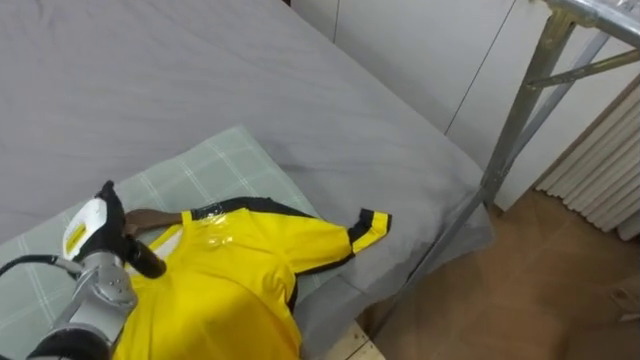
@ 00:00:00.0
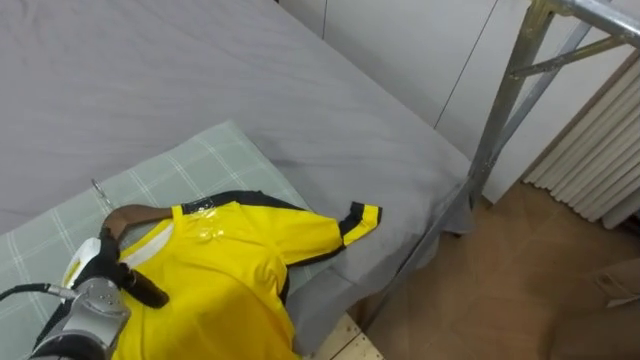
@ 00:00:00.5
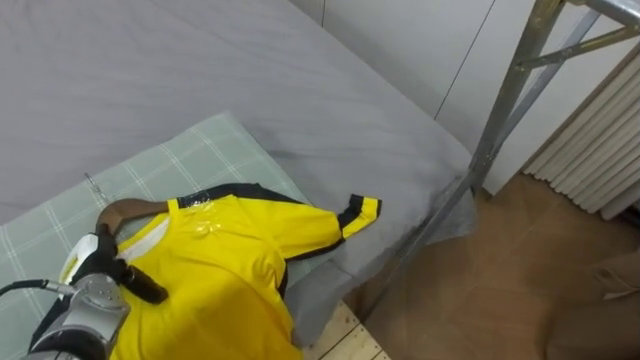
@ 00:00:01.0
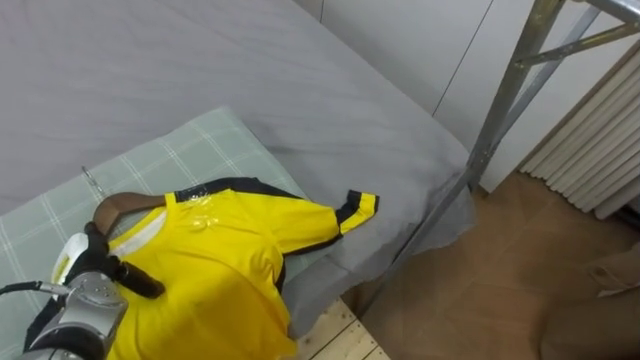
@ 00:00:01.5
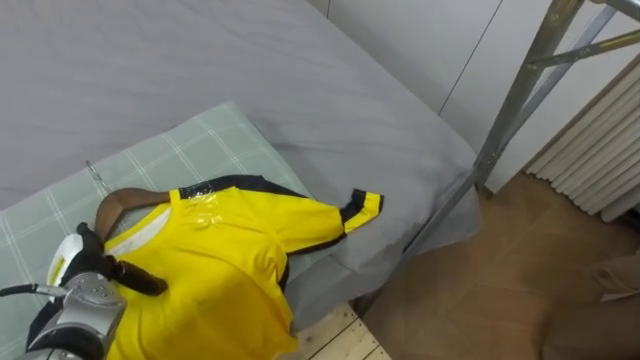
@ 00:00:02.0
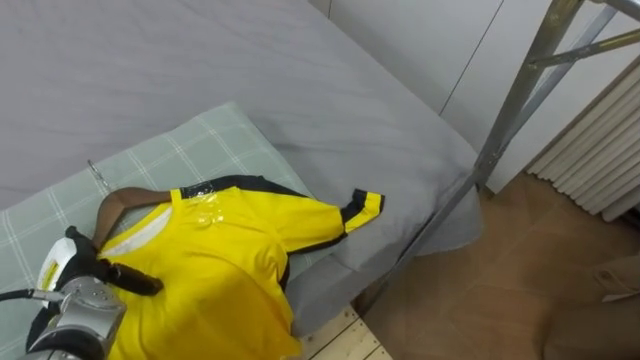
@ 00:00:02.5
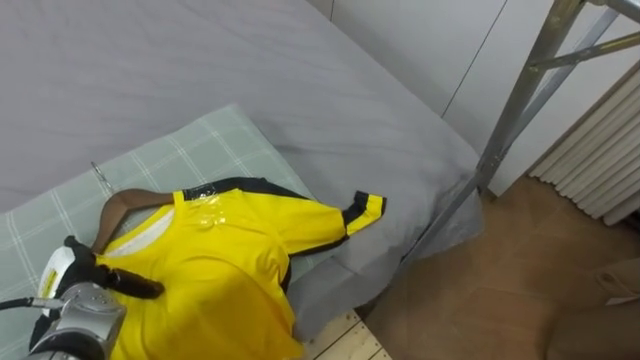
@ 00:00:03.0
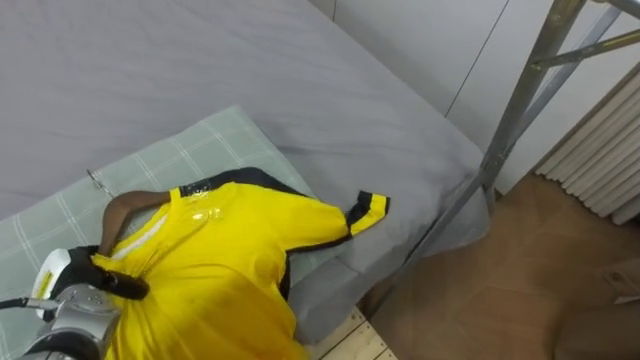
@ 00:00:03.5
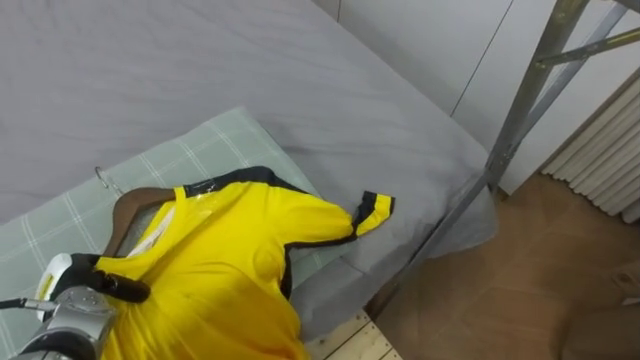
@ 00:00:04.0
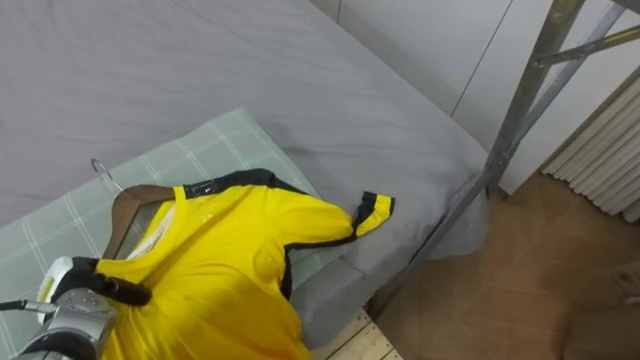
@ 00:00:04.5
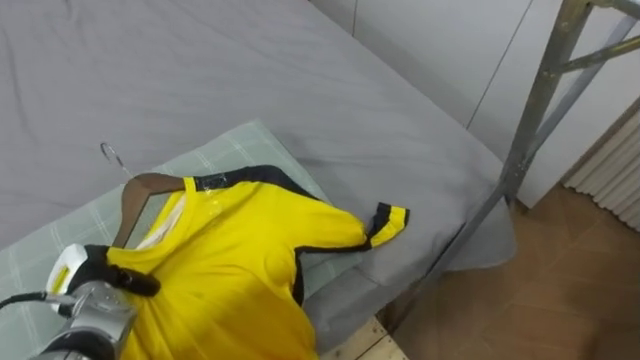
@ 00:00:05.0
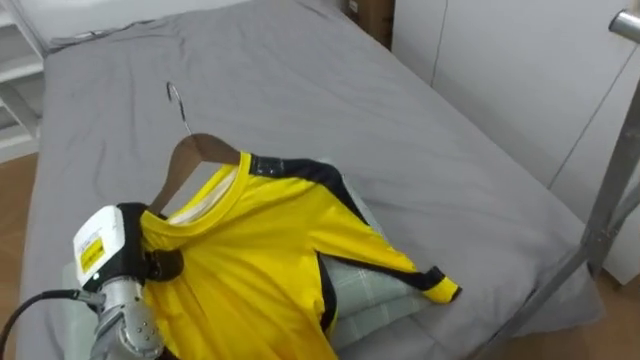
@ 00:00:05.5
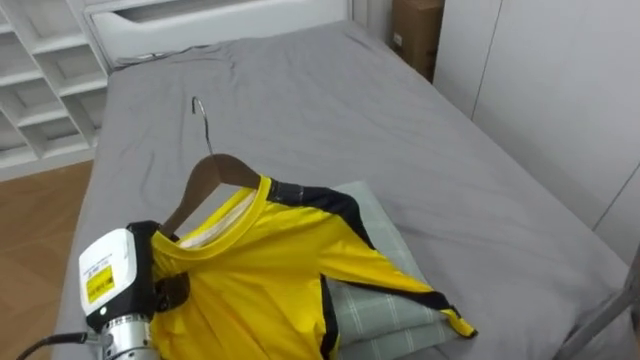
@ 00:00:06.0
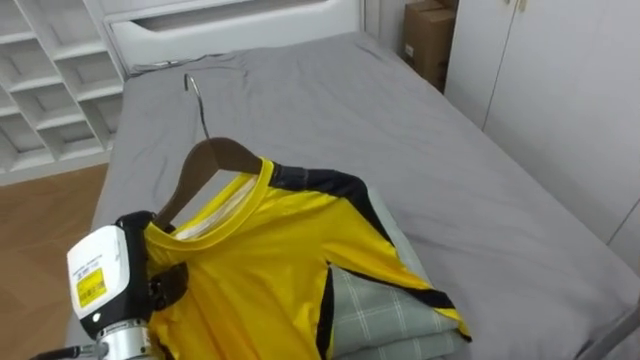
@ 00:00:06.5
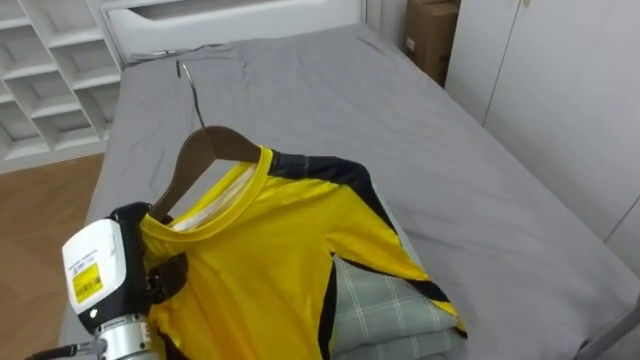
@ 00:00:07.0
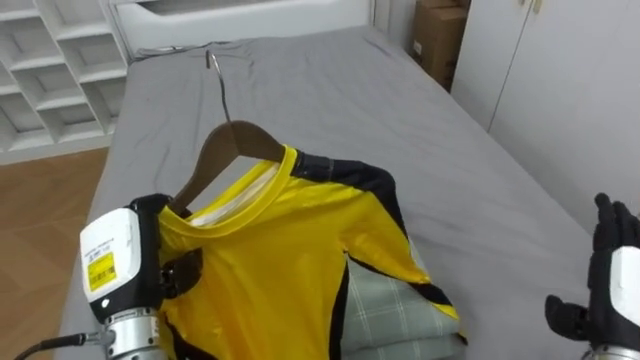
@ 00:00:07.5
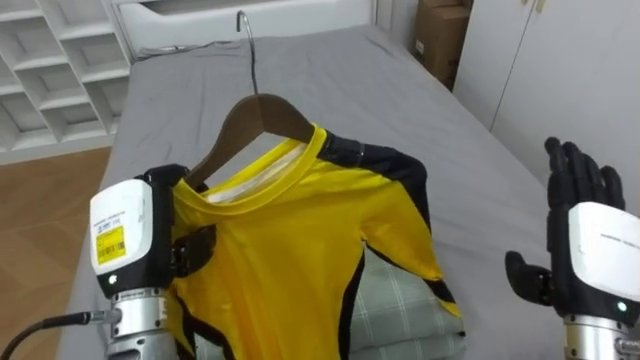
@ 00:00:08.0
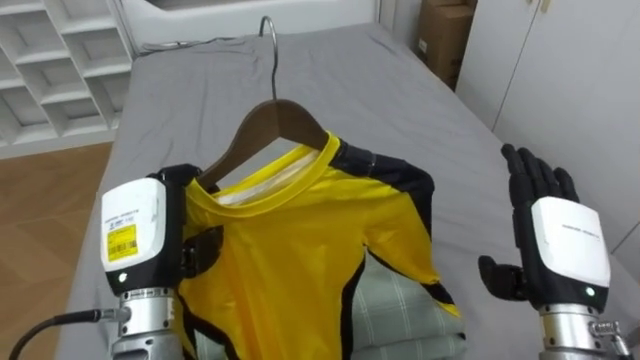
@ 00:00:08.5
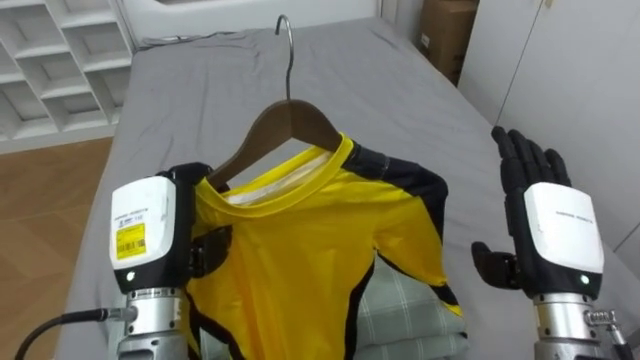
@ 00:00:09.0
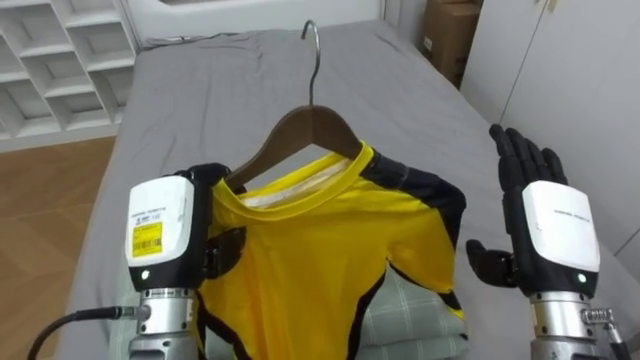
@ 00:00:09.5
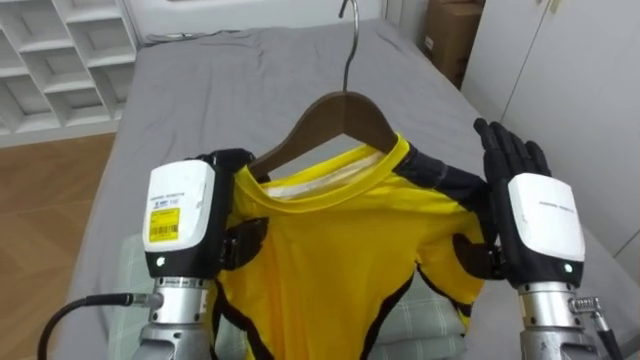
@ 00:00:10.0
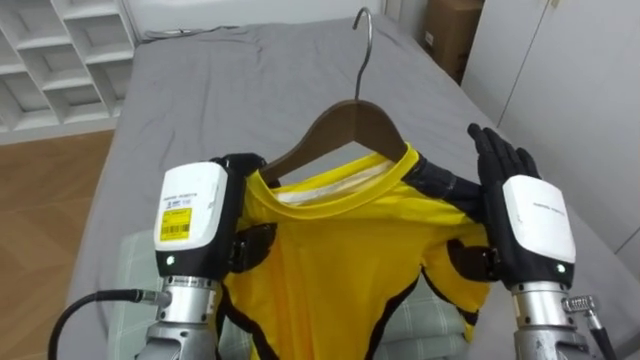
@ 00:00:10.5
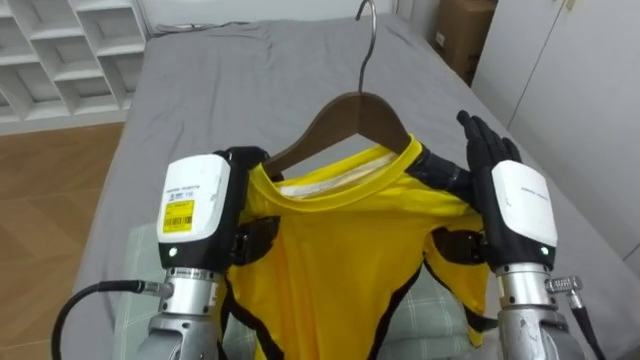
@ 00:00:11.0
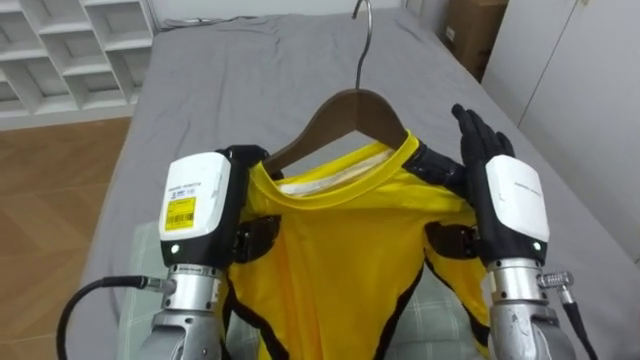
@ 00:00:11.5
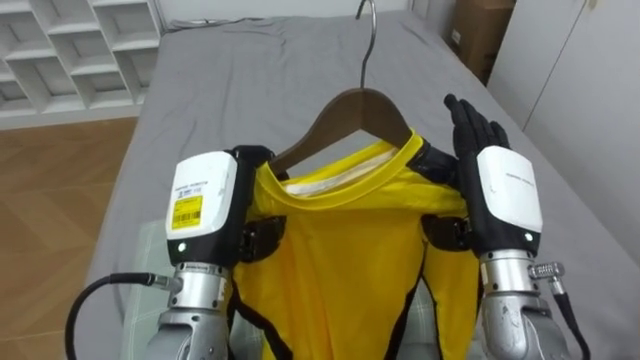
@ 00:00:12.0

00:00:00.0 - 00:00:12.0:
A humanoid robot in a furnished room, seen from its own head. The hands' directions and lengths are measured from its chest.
Task of the whole recording: Pick up the yellow shirt on the bed and hang it on the clothes rack on the right.
00:00:02.0 - 00:00:04.0: The left hand closes its fingers.
00:00:04.0 - 00:00:06.0: The left hand shifts some 10 cm to the right and upward.
00:00:06.0 - 00:00:08.0: The left hand travels upward by approximately 10 cm.
00:00:08.0 - 00:00:10.0: The left hand shifts roughly 5 cm to the right, while the right hand shifts some 5 cm to the left.

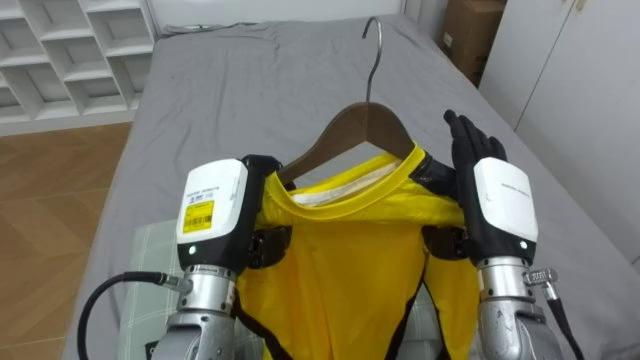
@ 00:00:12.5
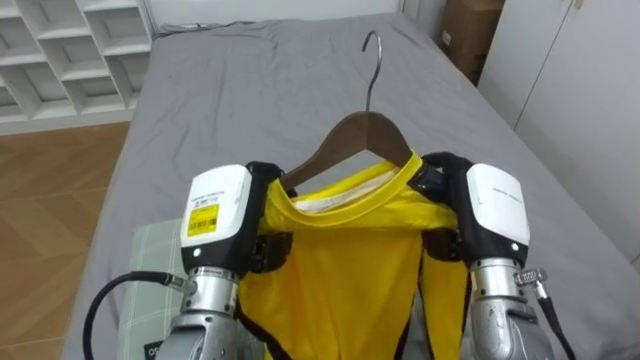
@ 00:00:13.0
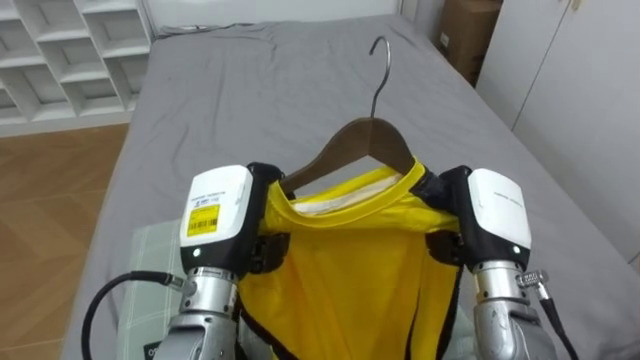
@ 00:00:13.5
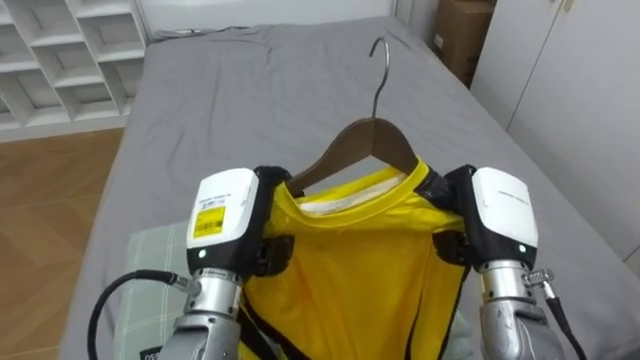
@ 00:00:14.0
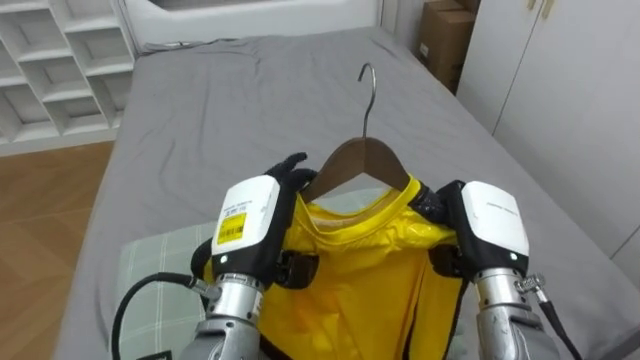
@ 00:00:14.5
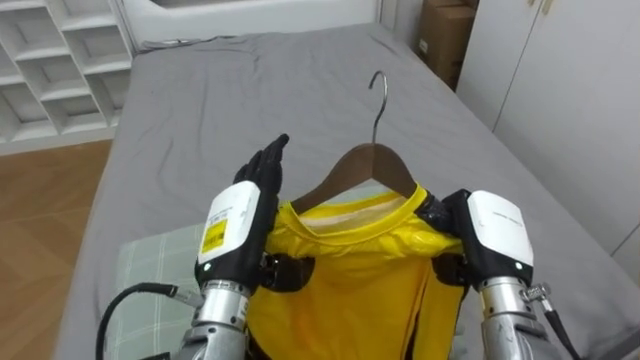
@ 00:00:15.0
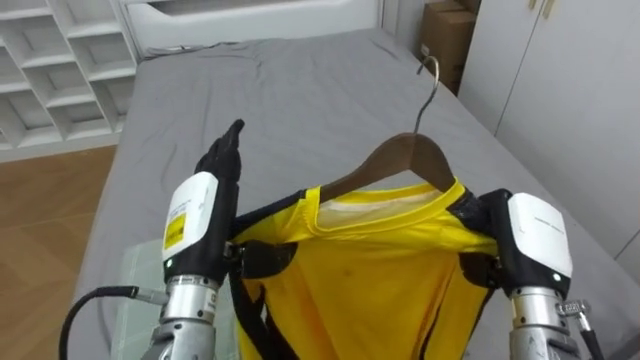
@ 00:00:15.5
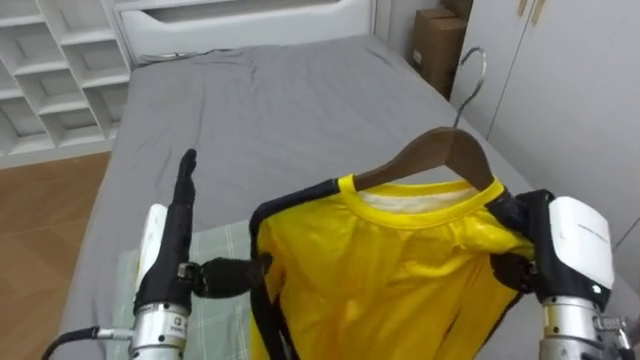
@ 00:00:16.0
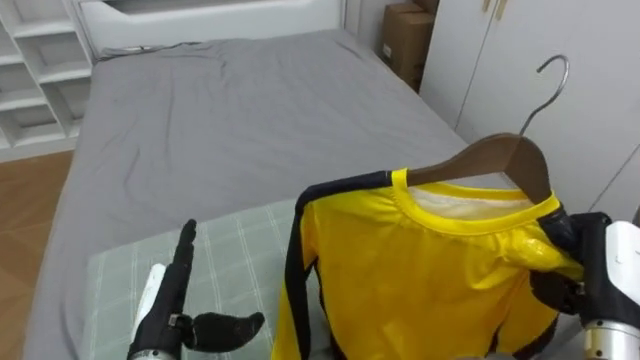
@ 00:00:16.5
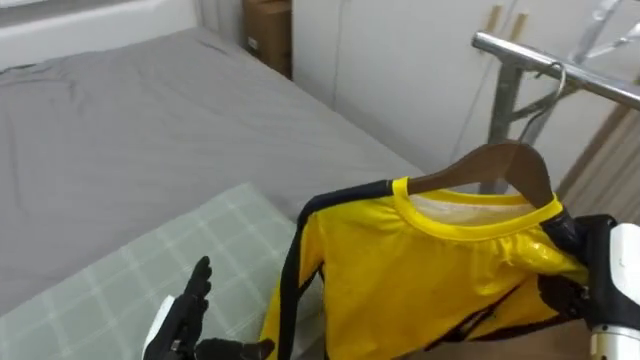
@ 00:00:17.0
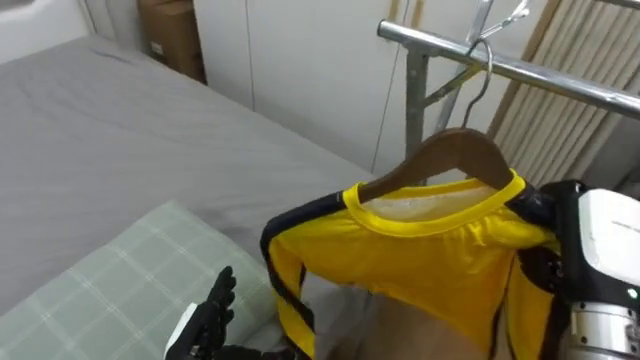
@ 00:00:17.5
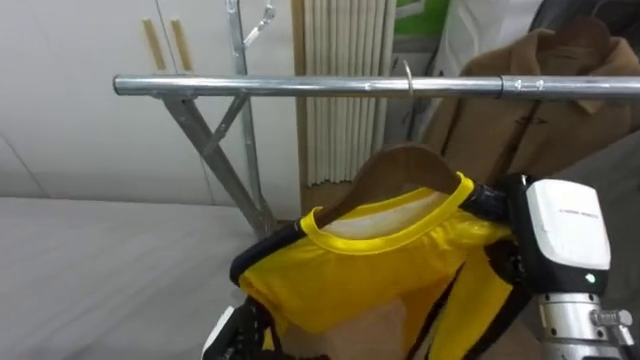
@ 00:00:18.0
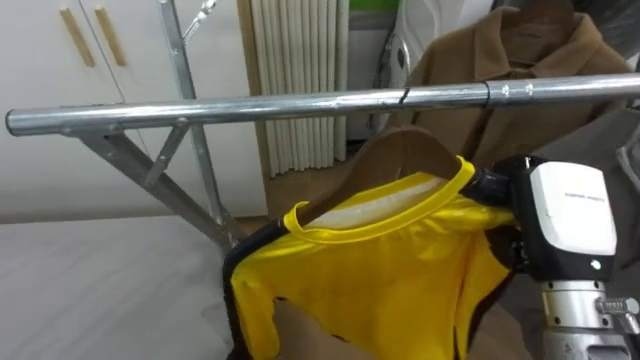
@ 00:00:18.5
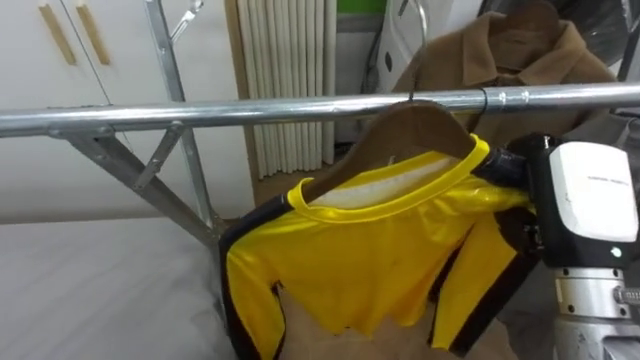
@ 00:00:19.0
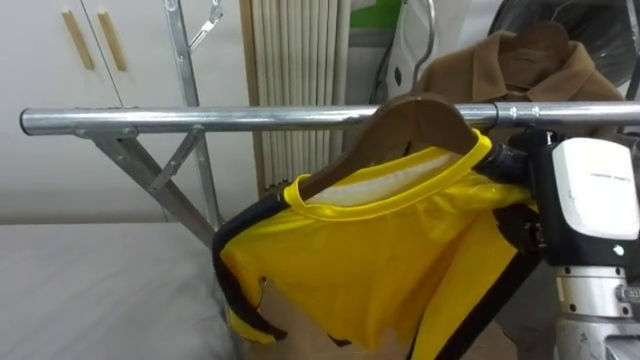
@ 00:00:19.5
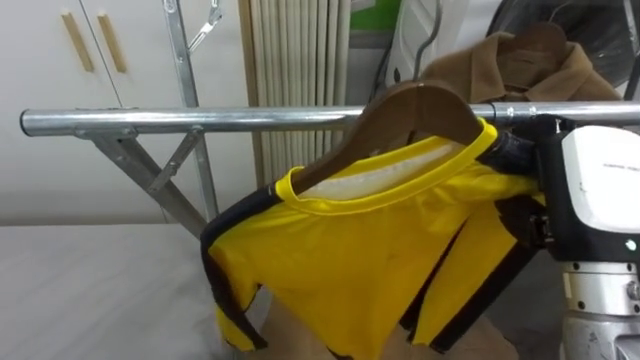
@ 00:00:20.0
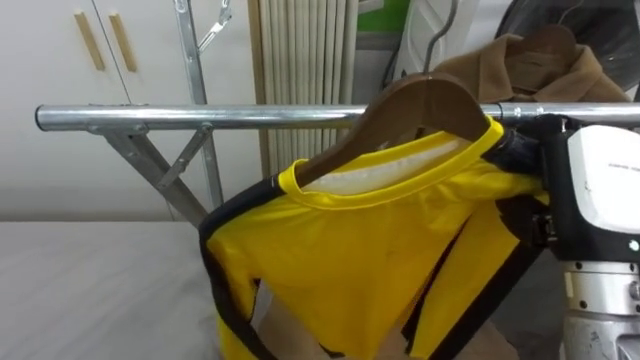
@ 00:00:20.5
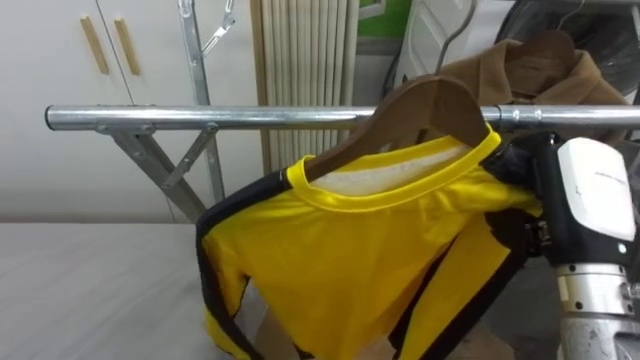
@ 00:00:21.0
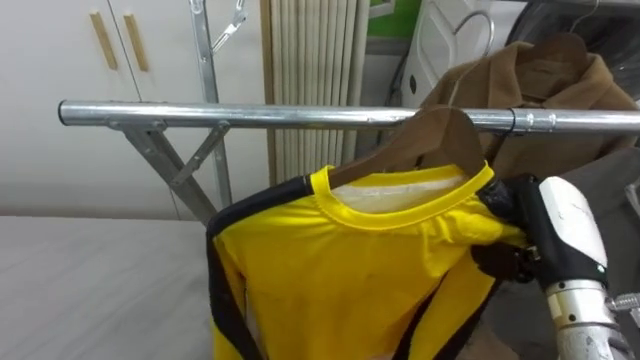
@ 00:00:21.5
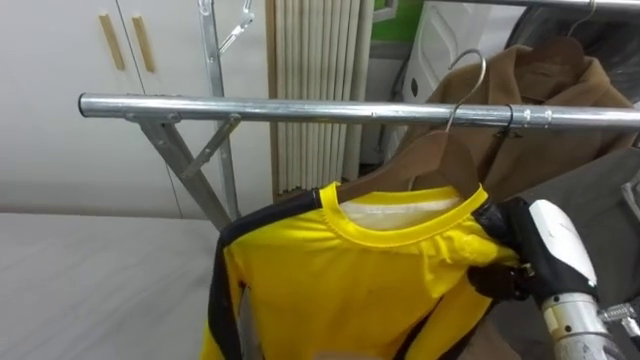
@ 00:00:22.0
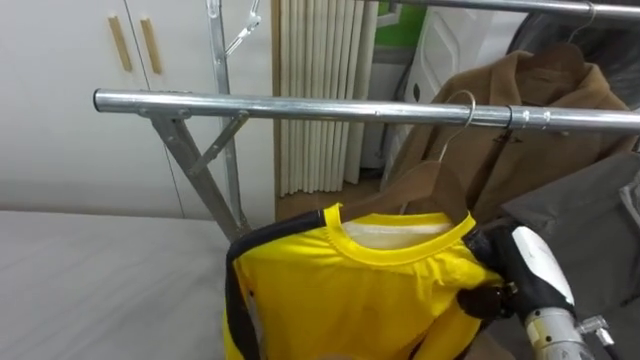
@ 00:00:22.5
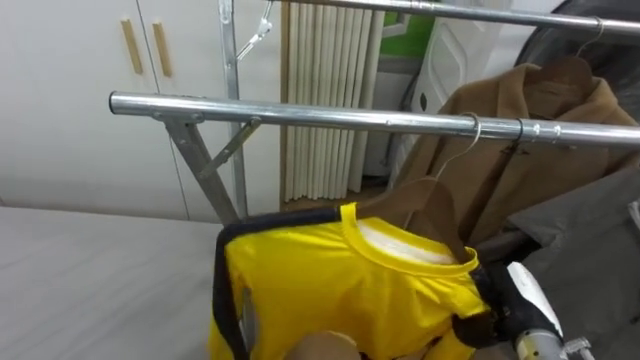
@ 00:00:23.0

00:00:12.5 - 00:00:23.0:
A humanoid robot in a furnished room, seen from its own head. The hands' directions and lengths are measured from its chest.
Task of the whole recording: Pick up the yellow shirt on the bed and hang it on the clothes rack on the right.
00:00:12.5 - 00:00:14.5: The right hand closes up. Meanwhile the left hand opens its fingers.
00:00:14.5 - 00:00:16.5: The left hand heads to the left and downward, covering about 15 cm, while the right hand goes about 15 cm to the right and backward.
00:00:16.5 - 00:00:19.0: The robot faces roughly 80 degrees further to its right. The right hand goes some 15 cm upward and to the left.
00:00:21.0 - 00:00:23.0: The right hand goes roughly 20 cm downward.
